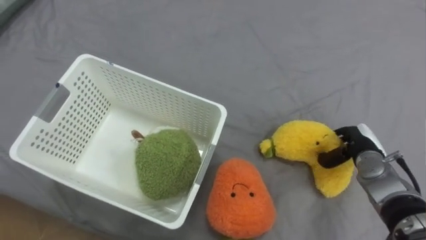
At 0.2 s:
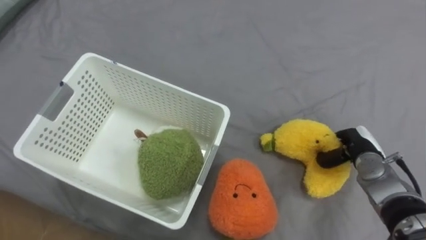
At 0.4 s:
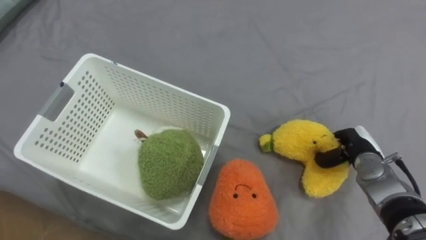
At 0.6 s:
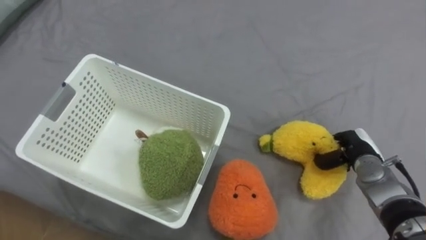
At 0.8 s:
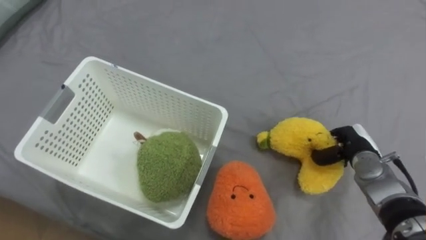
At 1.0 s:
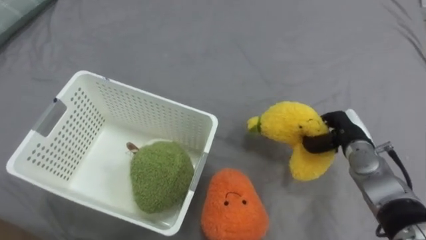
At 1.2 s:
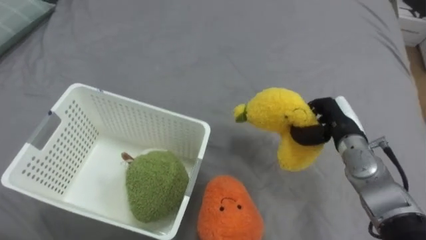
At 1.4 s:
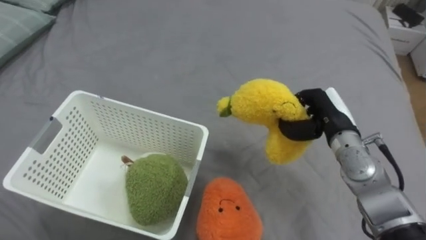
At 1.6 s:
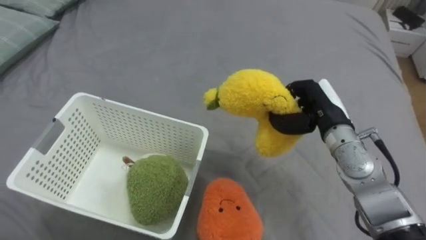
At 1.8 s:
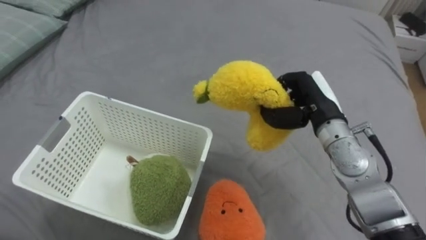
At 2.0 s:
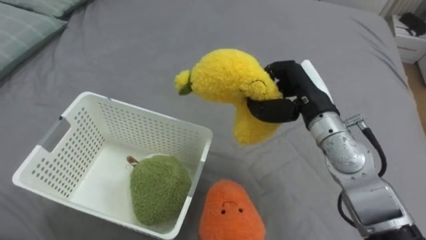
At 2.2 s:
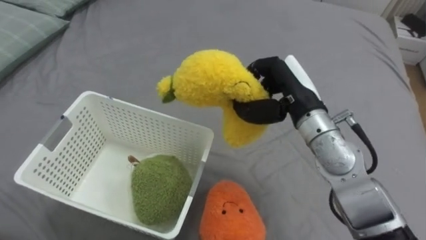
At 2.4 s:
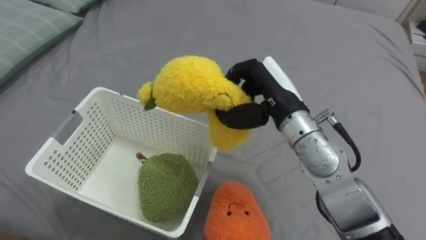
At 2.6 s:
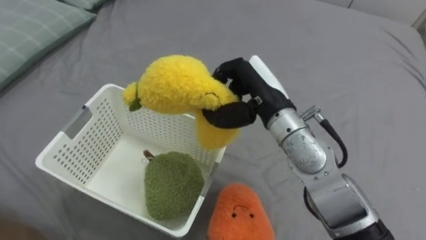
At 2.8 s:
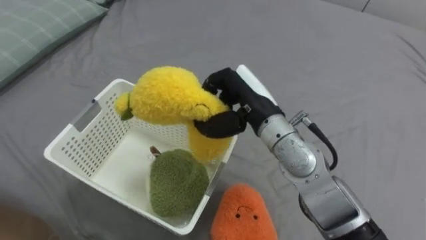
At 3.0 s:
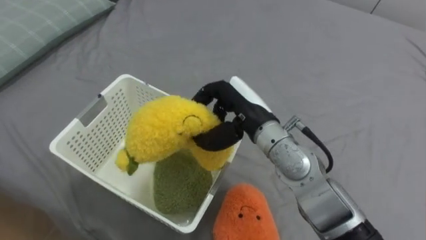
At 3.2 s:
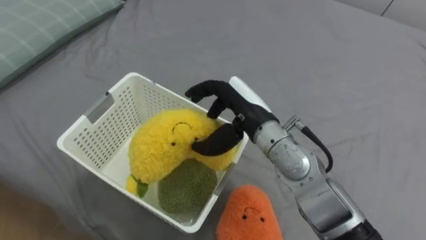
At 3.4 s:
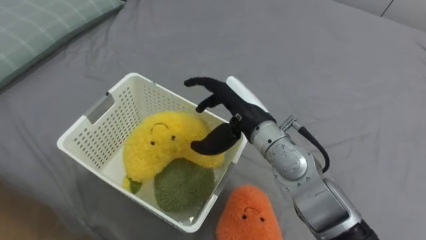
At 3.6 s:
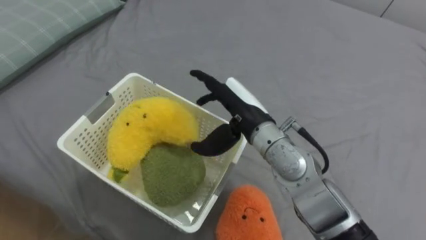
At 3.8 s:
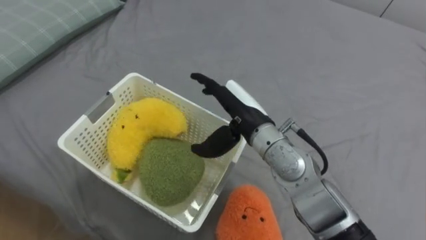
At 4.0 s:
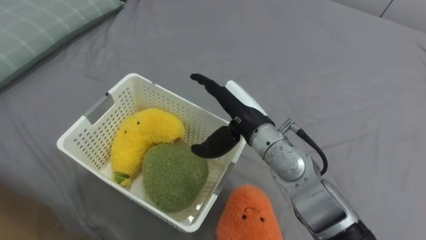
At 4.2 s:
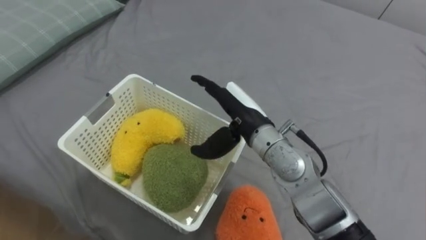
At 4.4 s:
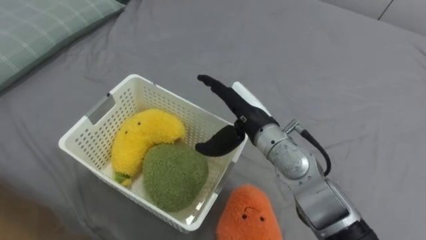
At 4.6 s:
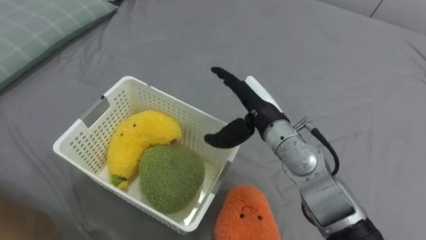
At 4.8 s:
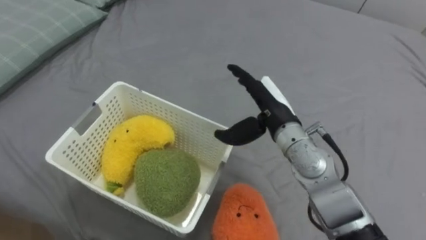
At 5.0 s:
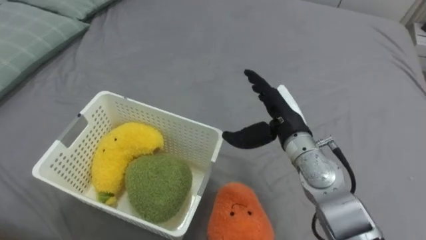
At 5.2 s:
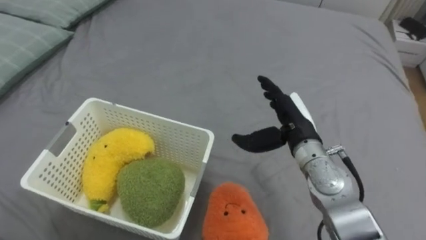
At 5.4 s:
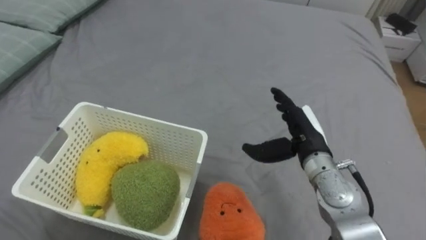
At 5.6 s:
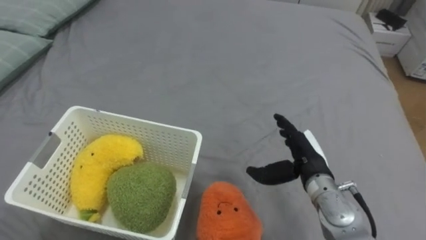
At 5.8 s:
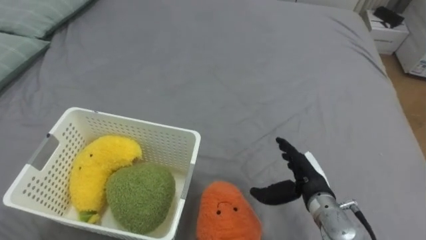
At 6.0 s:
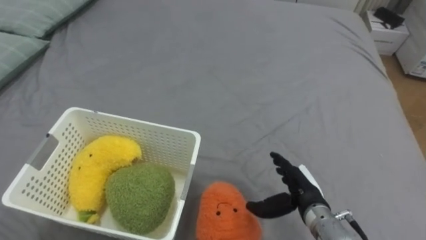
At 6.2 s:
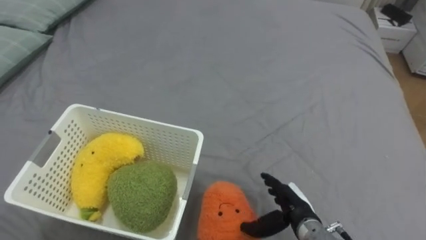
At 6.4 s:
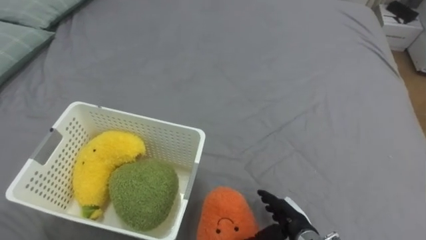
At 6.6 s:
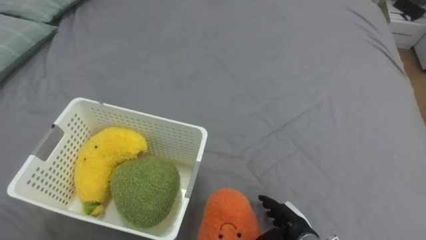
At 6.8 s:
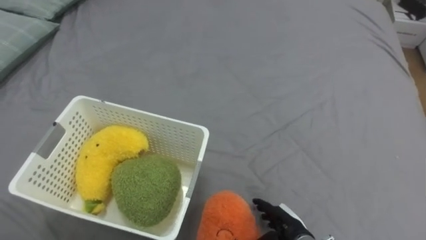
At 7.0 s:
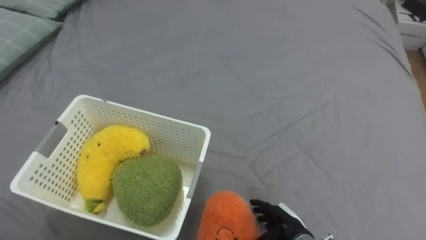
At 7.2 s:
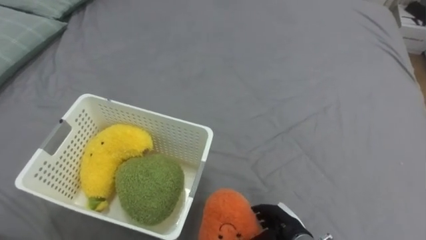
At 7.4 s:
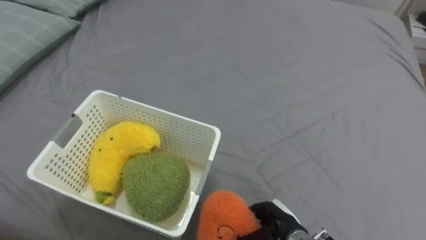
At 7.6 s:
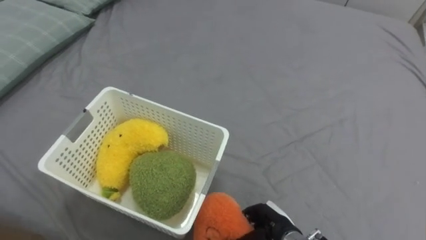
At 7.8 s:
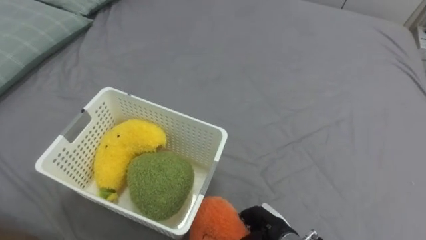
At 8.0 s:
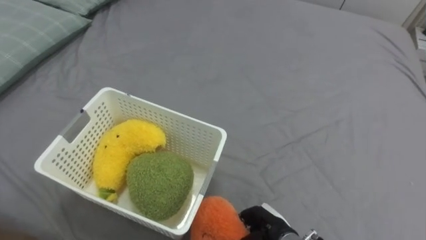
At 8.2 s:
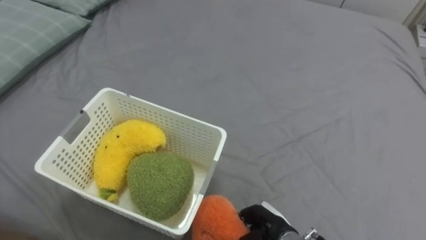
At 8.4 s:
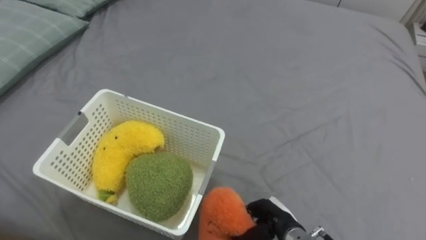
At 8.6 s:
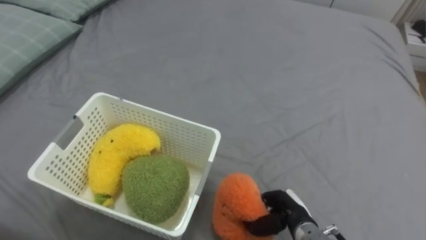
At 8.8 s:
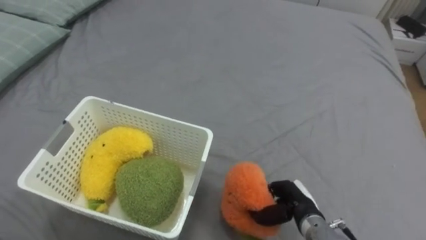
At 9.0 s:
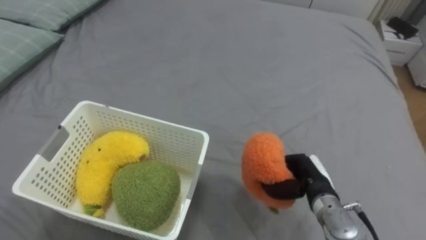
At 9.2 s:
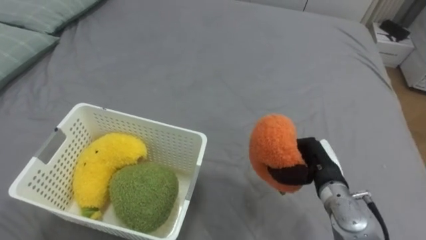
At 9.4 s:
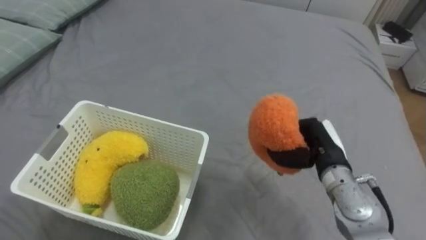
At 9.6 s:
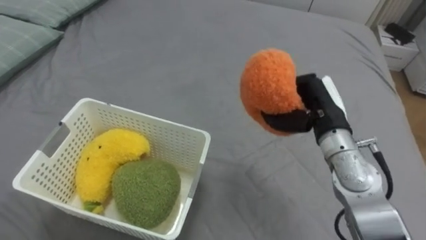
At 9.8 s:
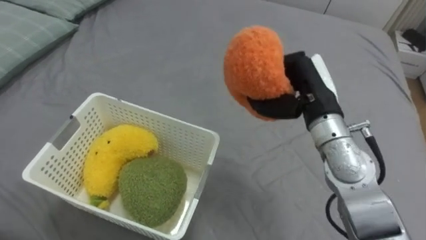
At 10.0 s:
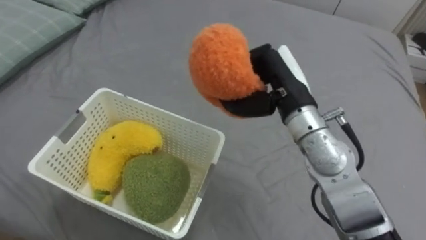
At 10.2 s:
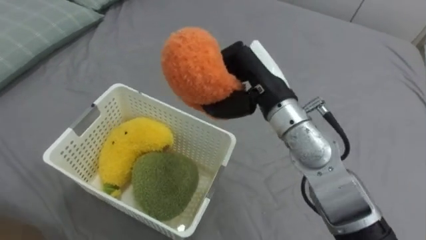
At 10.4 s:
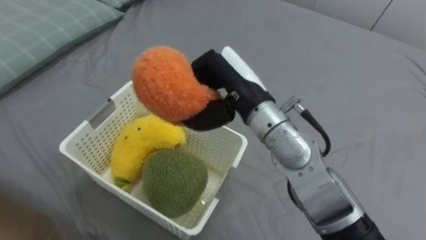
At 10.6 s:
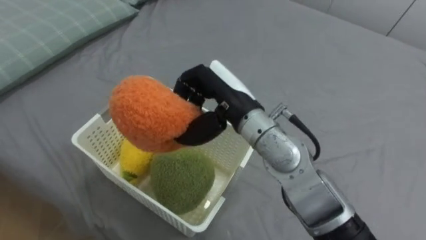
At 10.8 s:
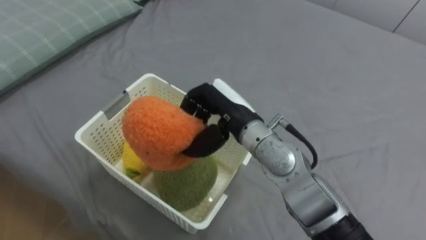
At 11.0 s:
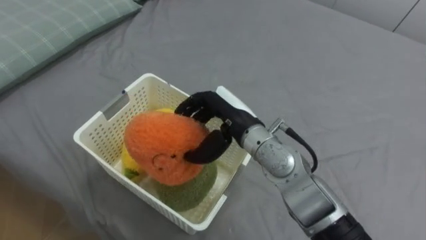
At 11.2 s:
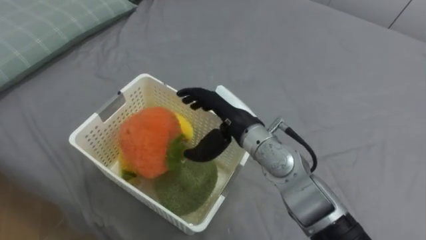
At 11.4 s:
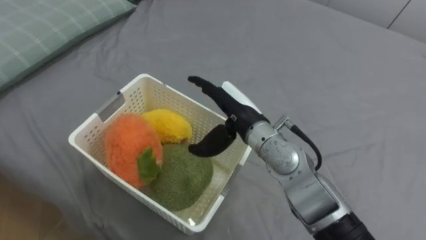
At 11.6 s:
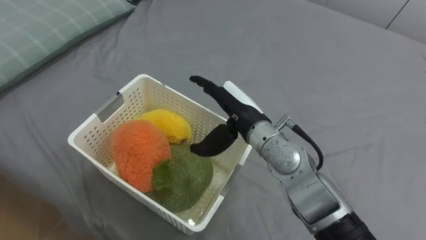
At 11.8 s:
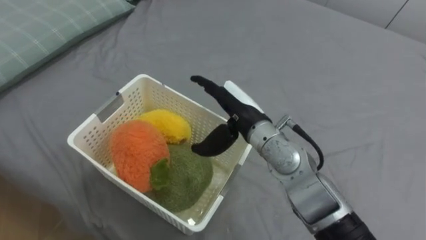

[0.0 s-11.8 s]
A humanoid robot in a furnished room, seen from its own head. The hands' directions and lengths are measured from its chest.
Task of the whole recording: Put the toys on the bed into the basket on the left.
0.0 to 1.4 s: The right hand moves upward and to the left, roughly 10 cm.
1.4 to 3.0 s: The right hand is displaced to the left by roughly 15 cm.
3.0 to 4.4 s: The right hand opens.
4.4 to 6.0 s: The right hand travels downward, to the right and backward by some 20 cm.
6.0 to 7.4 s: The right hand travels downward by approximately 5 cm, and closes.
8.8 to 10.4 s: The right hand goes about 30 cm upward and to the left.
10.4 to 11.8 s: The right hand travels downward by some 5 cm, and opens.

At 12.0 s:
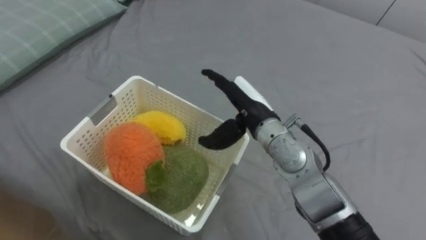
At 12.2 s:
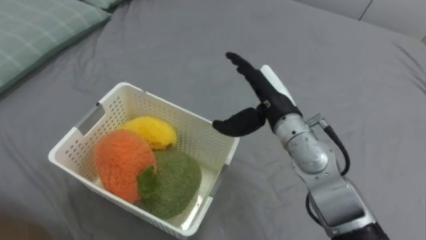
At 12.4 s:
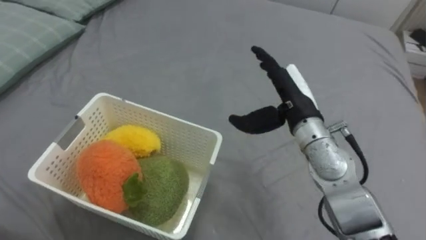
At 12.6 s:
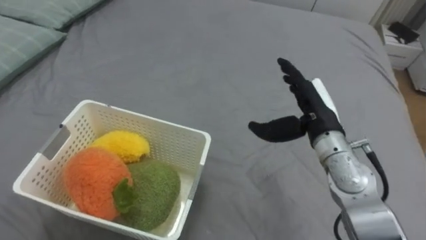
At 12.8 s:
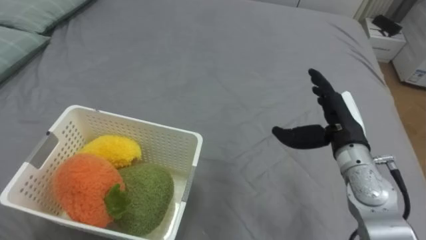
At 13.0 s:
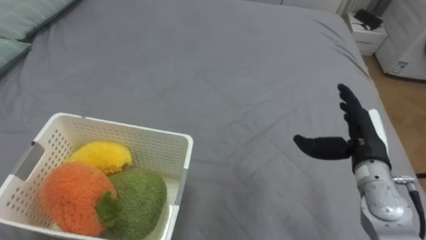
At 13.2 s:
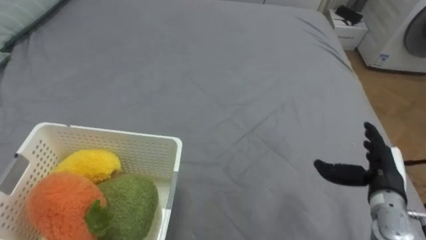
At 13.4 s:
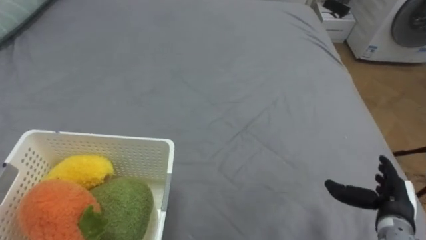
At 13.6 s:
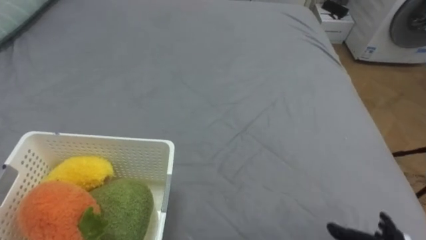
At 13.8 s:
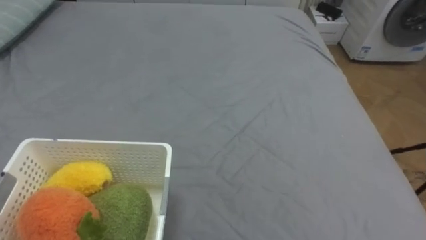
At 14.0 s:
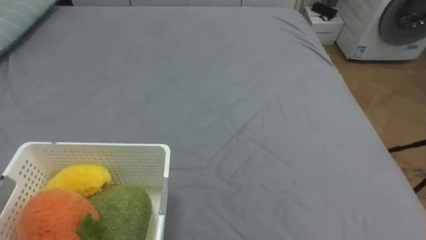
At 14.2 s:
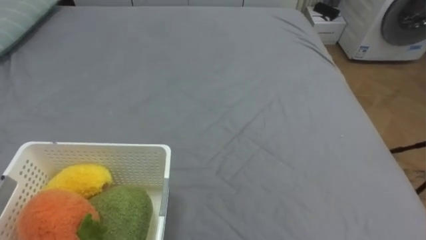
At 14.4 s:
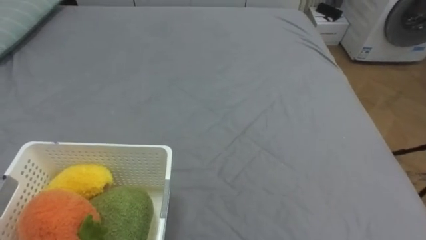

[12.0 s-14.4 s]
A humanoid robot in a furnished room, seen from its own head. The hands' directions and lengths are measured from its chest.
Task of the whole recording: Put the toys on the bed into the basket on the left.
12.0 to 13.2 s: The right hand shifts approximately 25 cm to the right.

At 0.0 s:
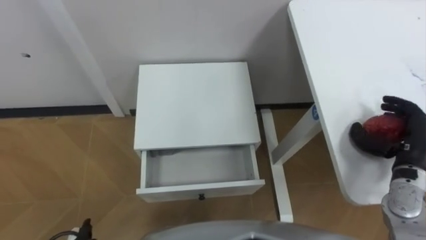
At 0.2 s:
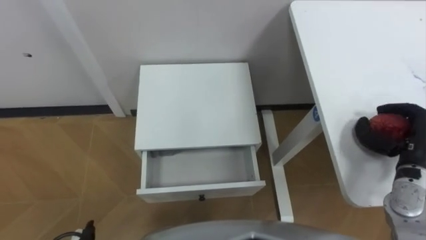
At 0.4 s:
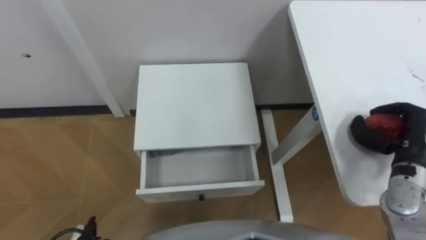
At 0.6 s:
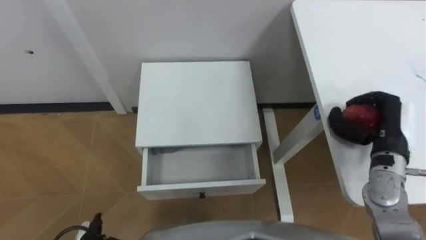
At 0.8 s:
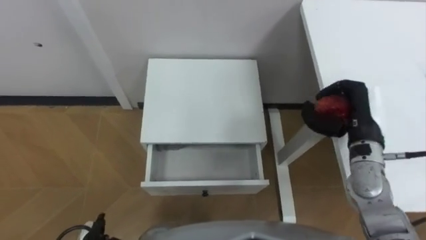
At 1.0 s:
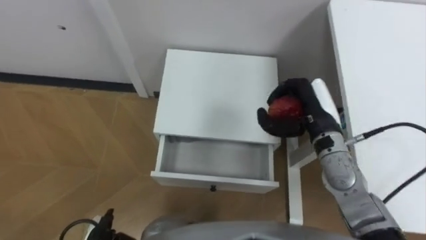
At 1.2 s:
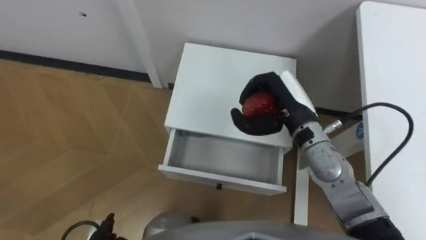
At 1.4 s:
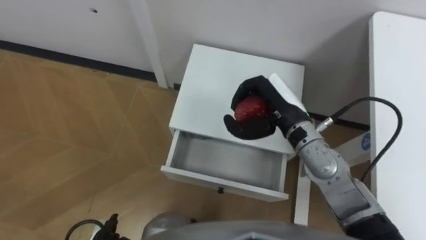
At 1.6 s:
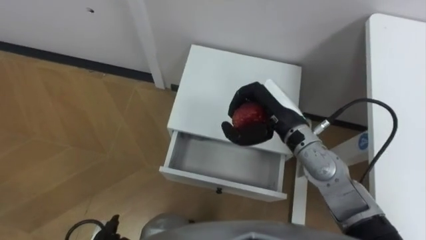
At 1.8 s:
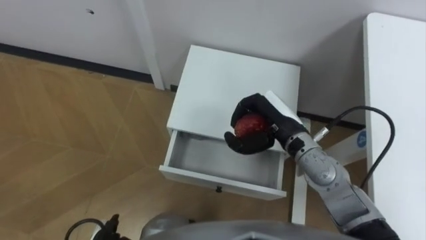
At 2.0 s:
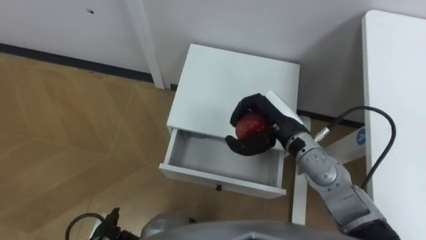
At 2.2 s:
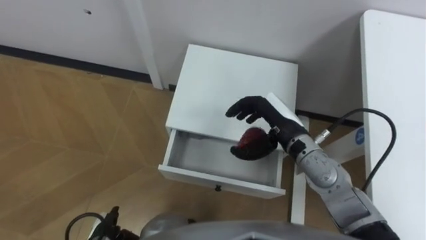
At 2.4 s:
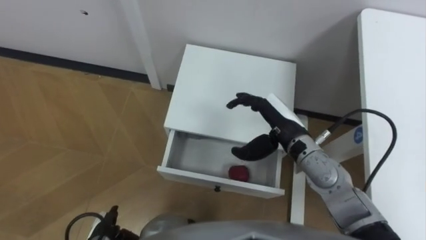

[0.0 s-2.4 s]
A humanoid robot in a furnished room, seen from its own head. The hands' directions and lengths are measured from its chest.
Task of the whole recording: Pick up the apple from the table, put it in the drawer, and close the drawer with leg.
0.0 to 1.2 s: The right hand is displaced to the left by approximately 20 cm, and closes.
1.2 to 2.4 s: The right hand opens its fingers.
